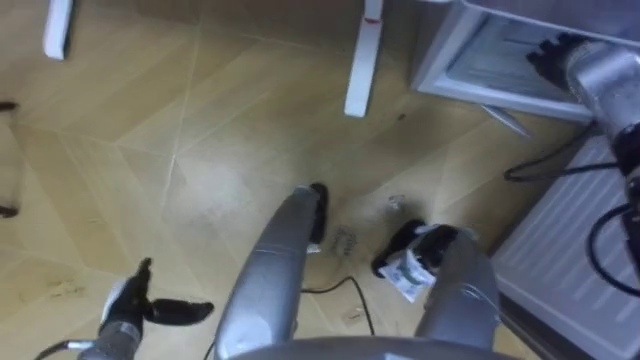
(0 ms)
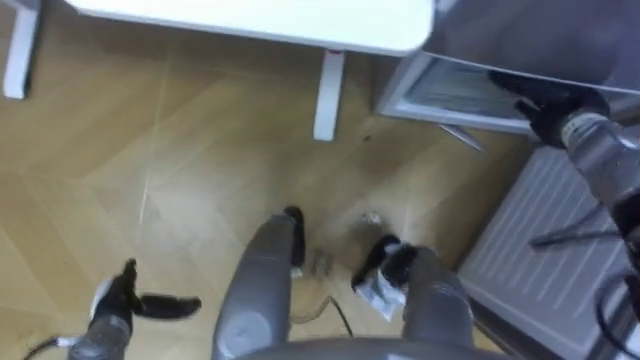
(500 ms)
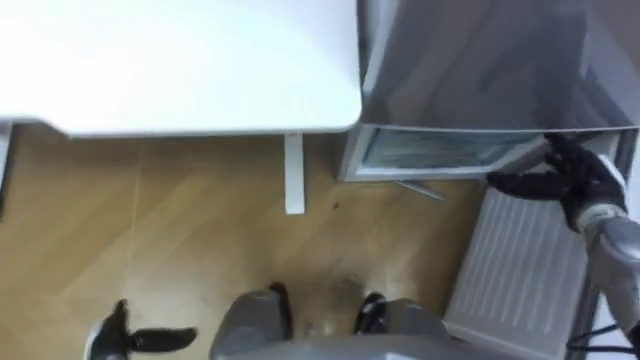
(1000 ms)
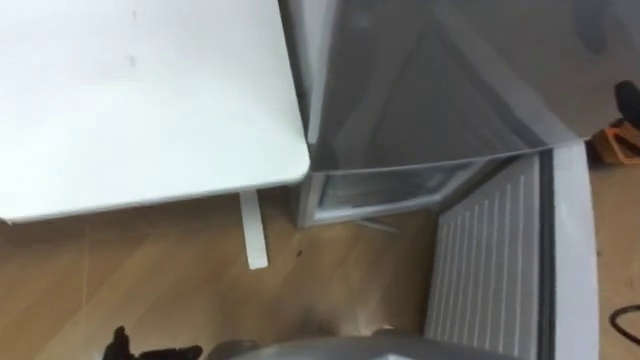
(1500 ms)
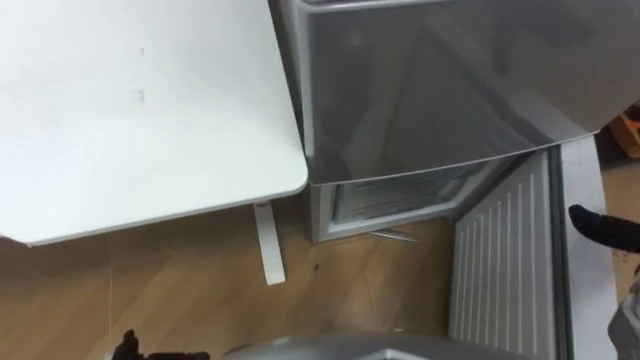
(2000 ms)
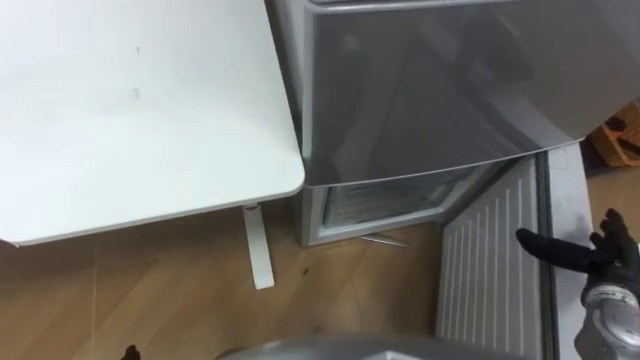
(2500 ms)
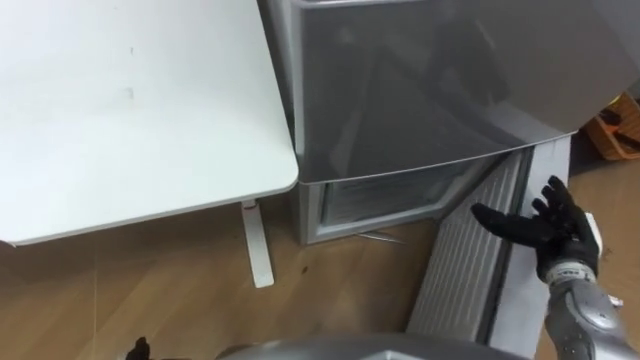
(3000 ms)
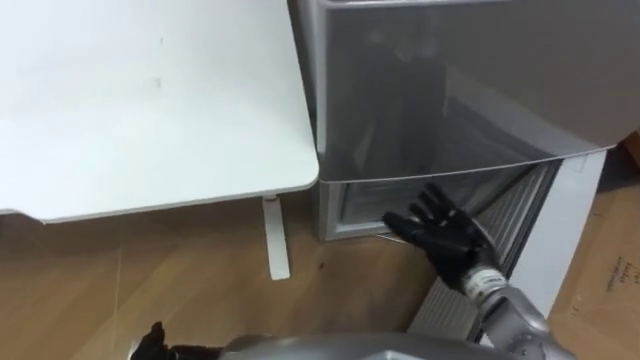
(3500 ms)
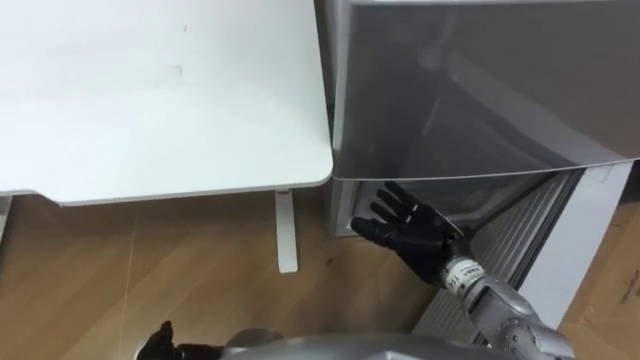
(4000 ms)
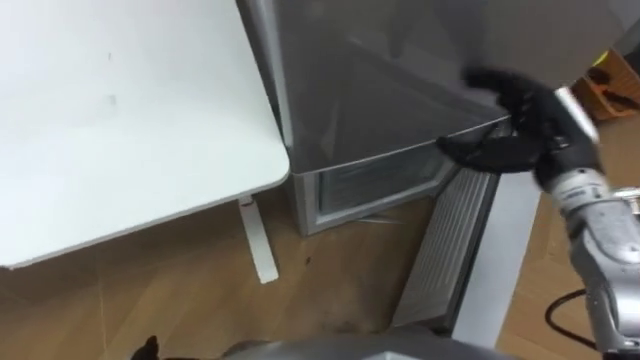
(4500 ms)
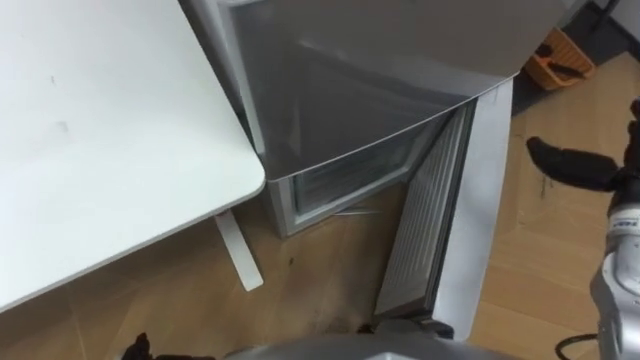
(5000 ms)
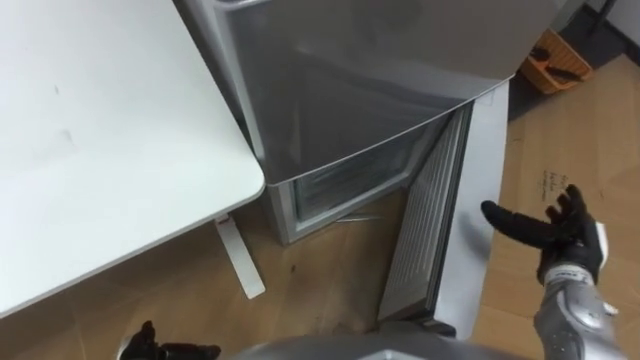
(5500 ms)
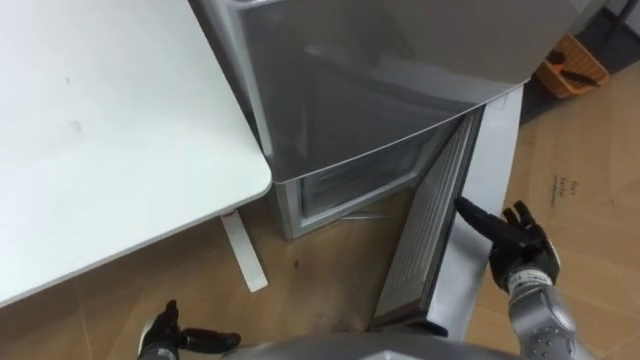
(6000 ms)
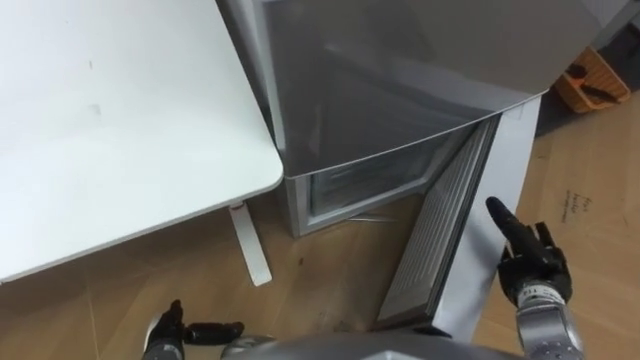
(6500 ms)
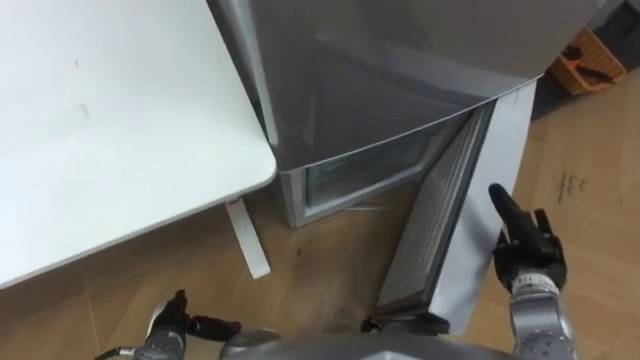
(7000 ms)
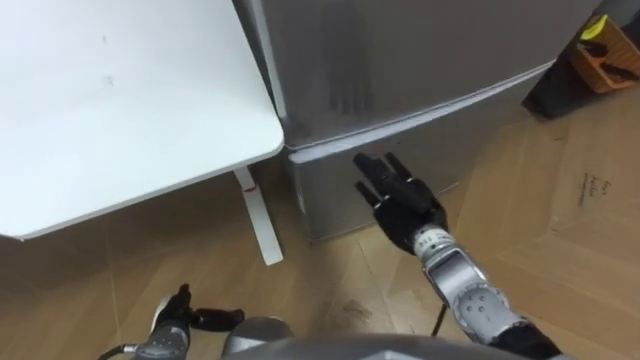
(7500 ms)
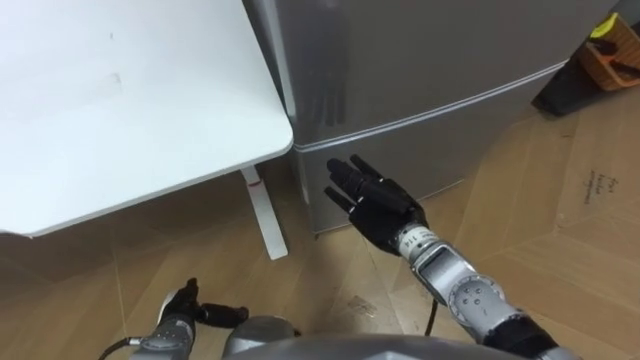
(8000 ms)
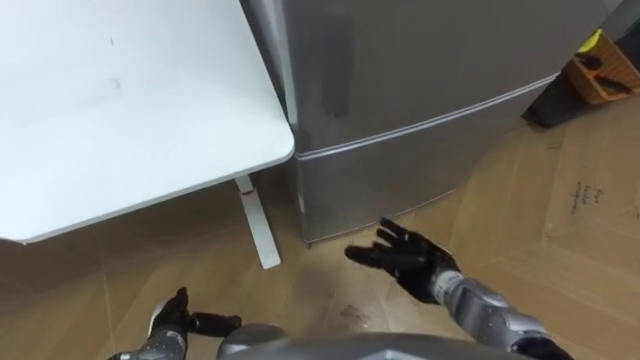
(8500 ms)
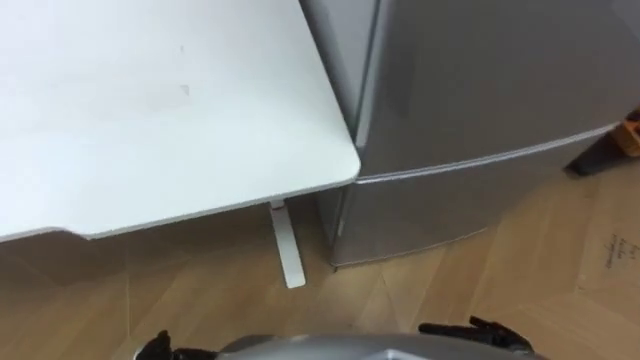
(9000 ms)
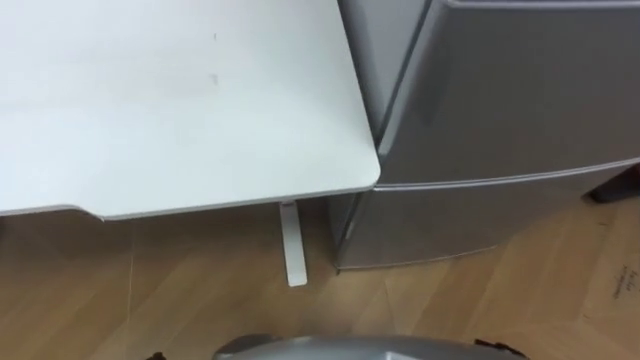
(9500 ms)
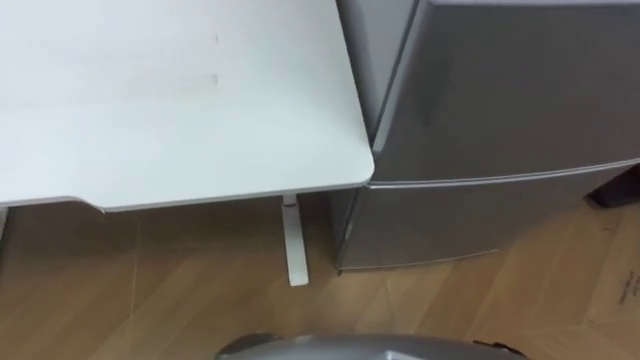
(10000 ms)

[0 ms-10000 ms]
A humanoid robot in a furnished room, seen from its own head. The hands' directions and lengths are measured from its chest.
Task of the whole recording: Place the drink on the table on the bottom shelf of the refrigerator, then close the drawer and the refrigerator door.
4000 ms to 6000 ms: The robot faces about 15 degrees further to its right. The right hand is displaced to the right by approximately 10 cm.
6000 ms to 8000 ms: The right hand heads to the left, covering roughly 20 cm.

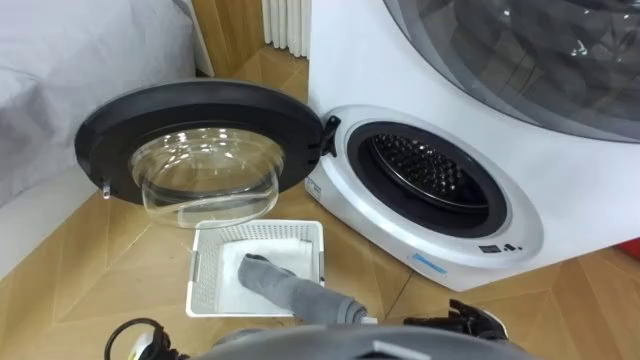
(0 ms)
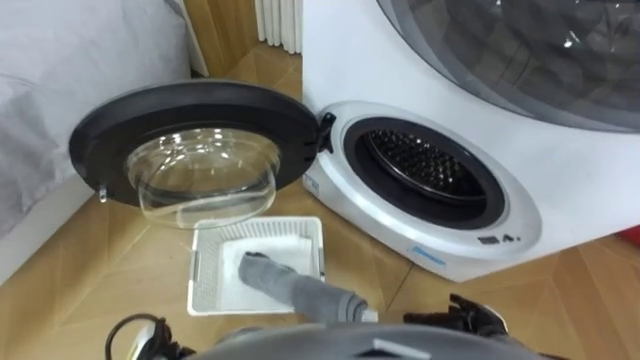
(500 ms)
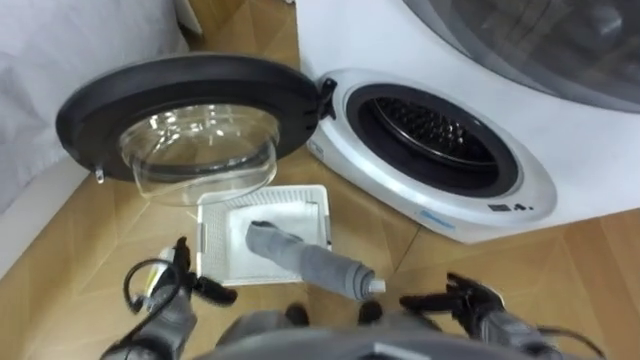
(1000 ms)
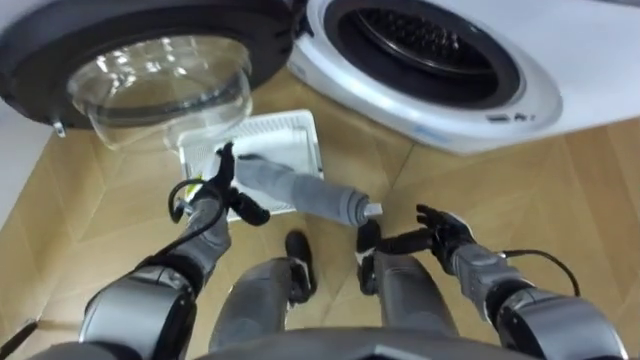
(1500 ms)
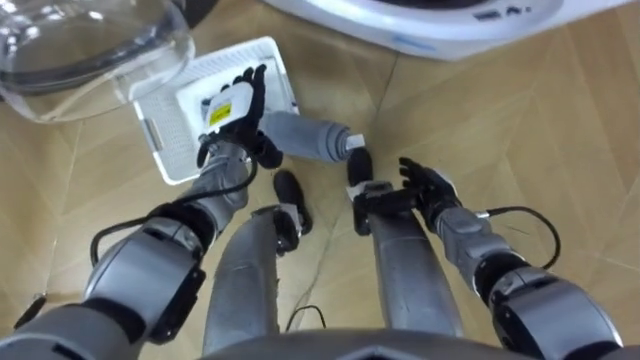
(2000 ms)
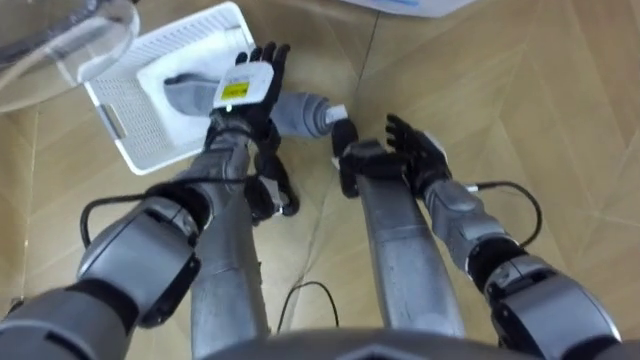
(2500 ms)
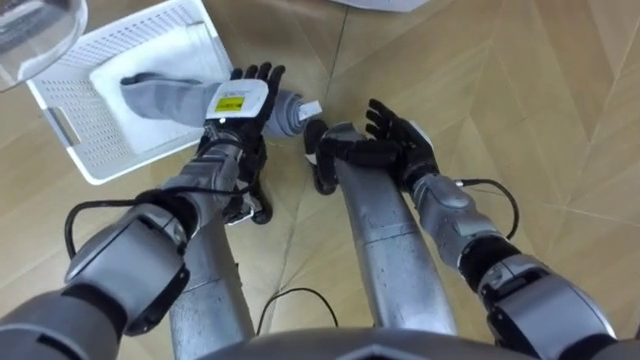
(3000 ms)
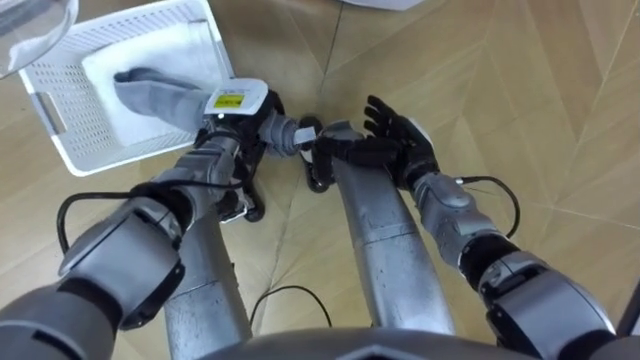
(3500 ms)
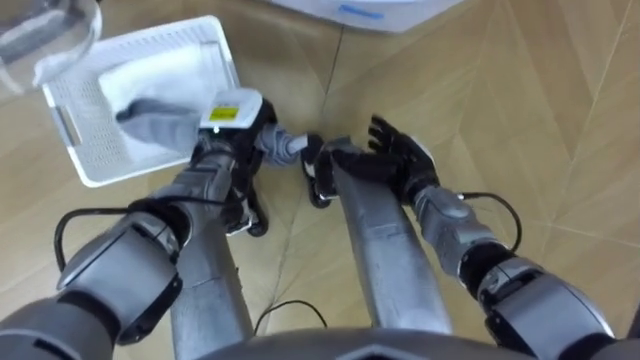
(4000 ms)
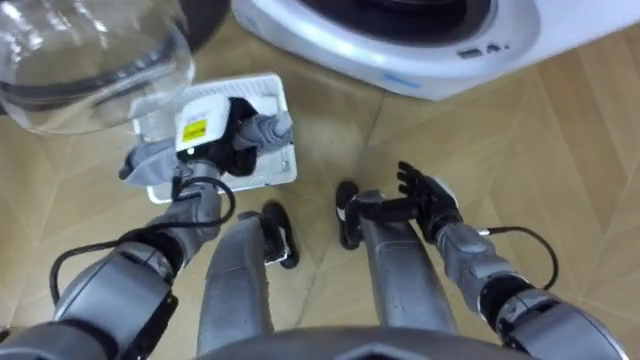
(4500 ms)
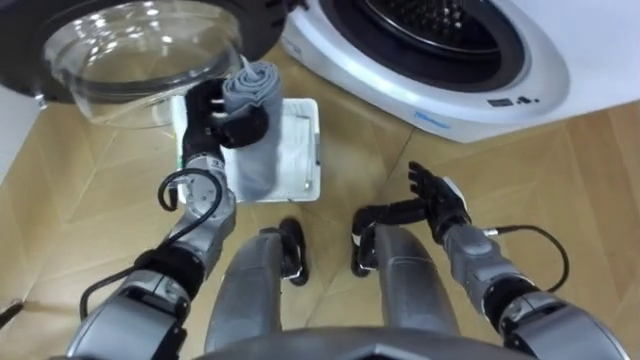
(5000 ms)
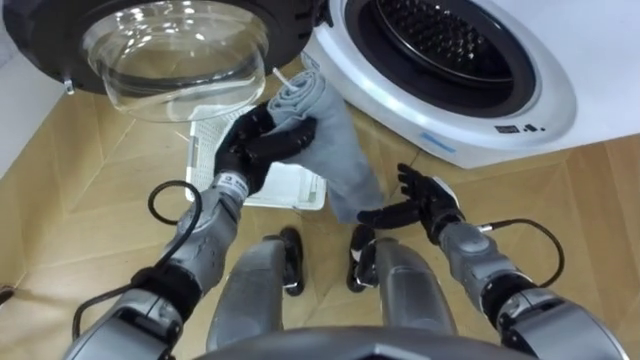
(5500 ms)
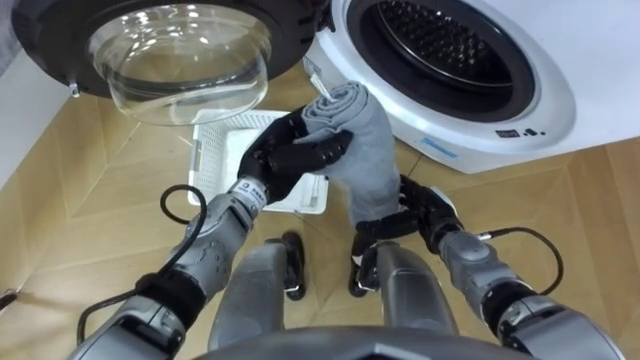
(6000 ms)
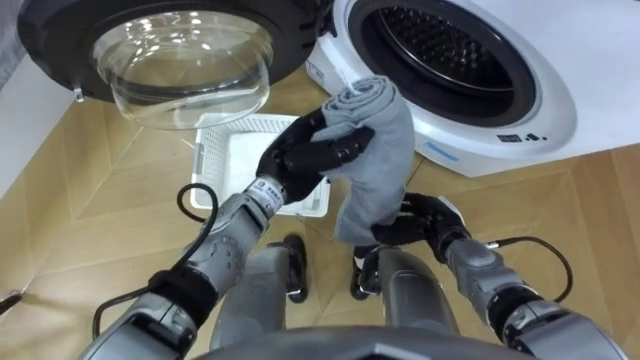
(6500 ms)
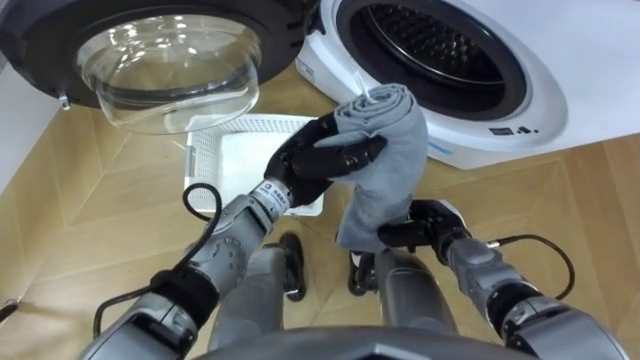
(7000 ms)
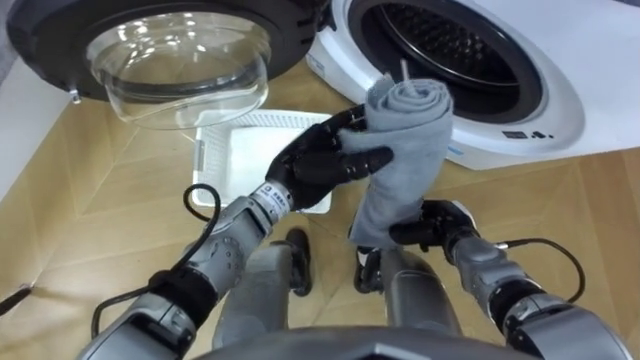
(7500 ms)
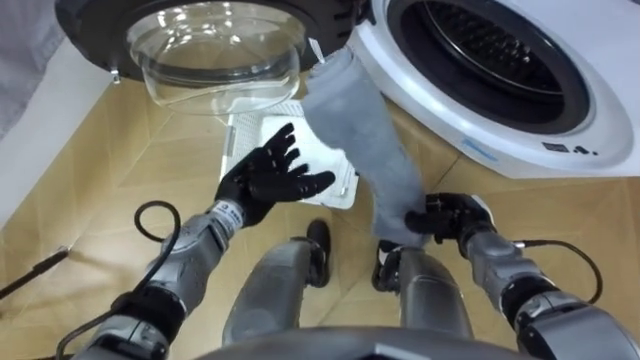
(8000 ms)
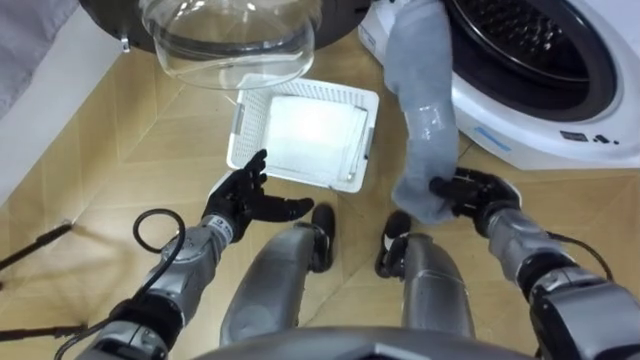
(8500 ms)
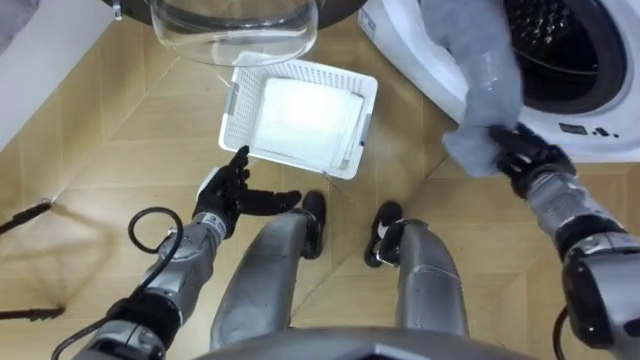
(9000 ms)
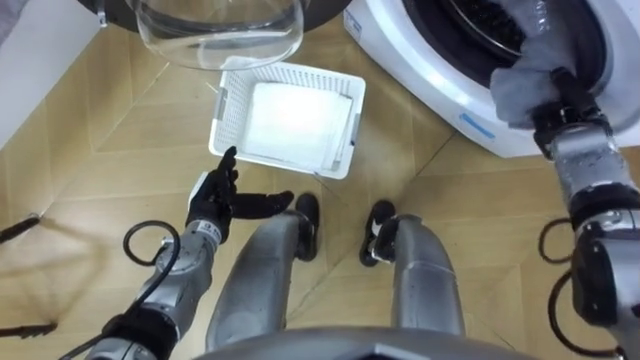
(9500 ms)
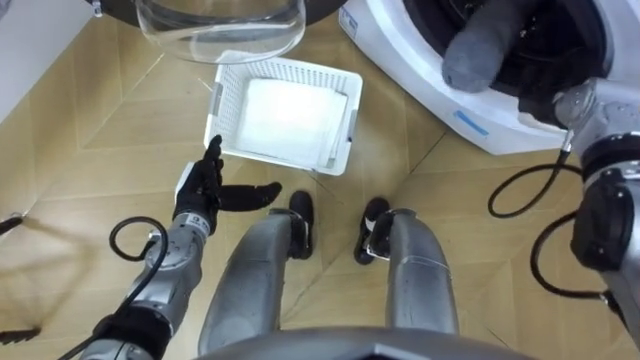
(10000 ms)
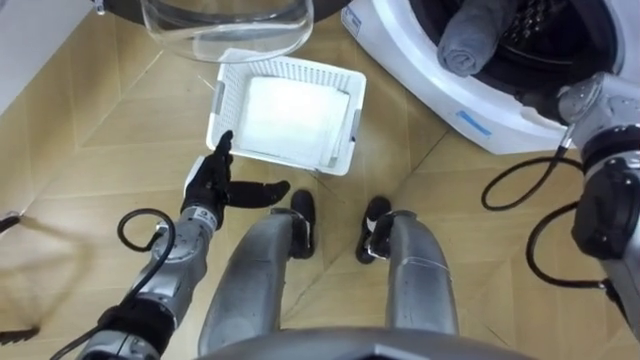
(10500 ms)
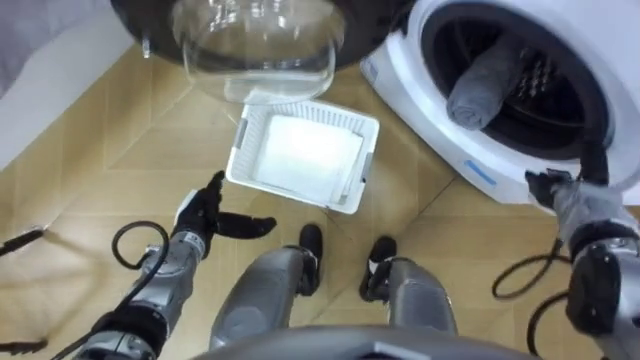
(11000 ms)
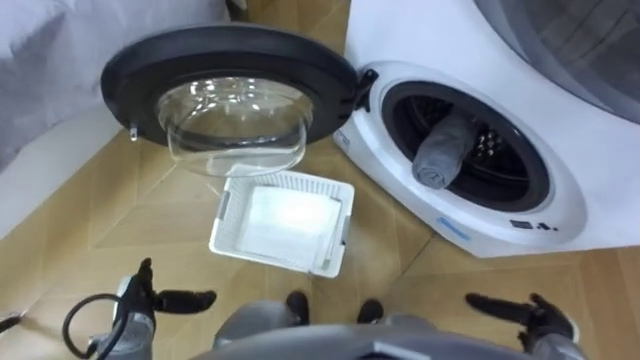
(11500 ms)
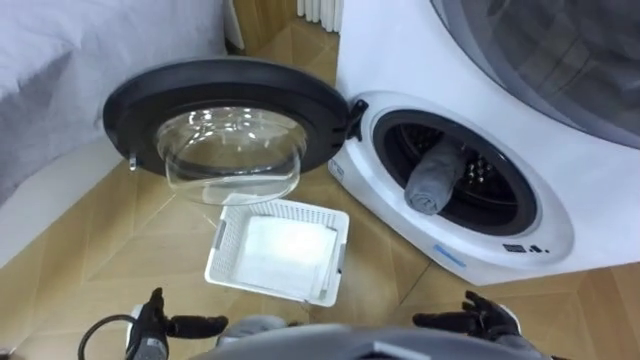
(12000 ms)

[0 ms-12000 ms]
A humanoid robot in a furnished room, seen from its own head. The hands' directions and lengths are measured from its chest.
Task of the whole recording: Take the towel from the basket and put it into the washing machine.
2000 ms to 4000 ms: The left hand closes up, while the right hand shifts by roughly 5 cm.
4000 ms to 6000 ms: The right hand heads backward, covering roughly 5 cm, while the left hand is displaced backward and to the right by approximately 10 cm.
6000 ms to 8000 ms: The left hand changes place by approximately 5 cm, and opens up. Meanwhile the right hand goes some 5 cm to the right, and closes up.
8000 ms to 10000 ms: The right hand moves upward, forward and to the right, roughly 20 cm, and opens its fingers. The left hand heads to the left, covering approximately 10 cm.
10000 ms to 12000 ms: The right hand moves backward and downward, about 35 cm, and opens up. The left hand goes roughly 20 cm backward, downward and to the left.
